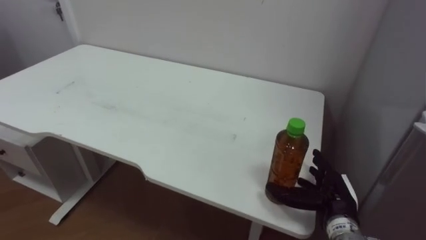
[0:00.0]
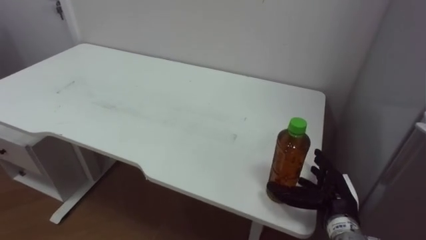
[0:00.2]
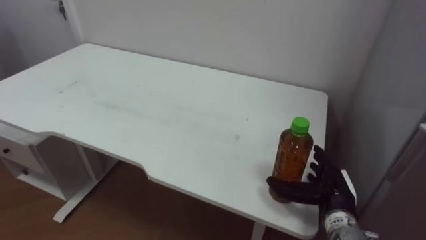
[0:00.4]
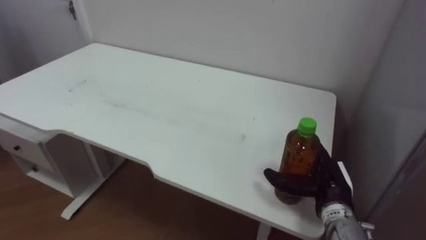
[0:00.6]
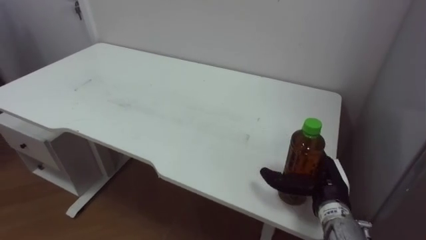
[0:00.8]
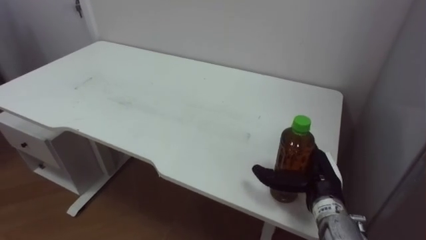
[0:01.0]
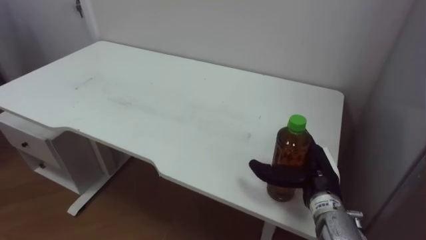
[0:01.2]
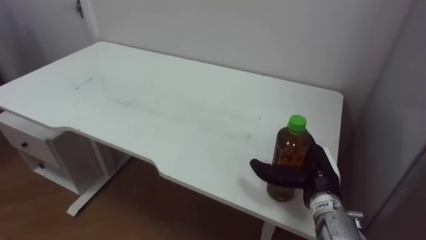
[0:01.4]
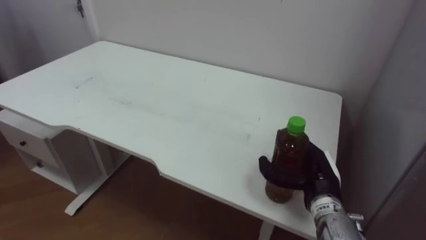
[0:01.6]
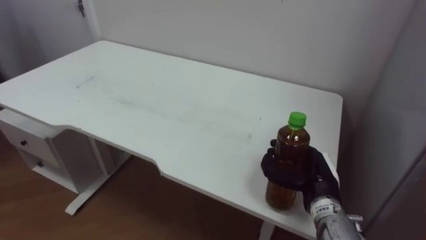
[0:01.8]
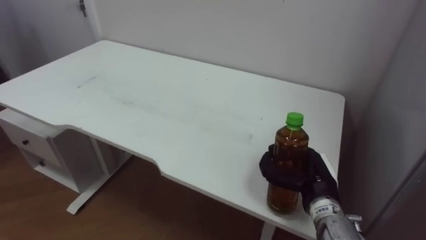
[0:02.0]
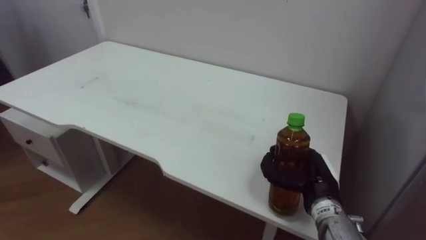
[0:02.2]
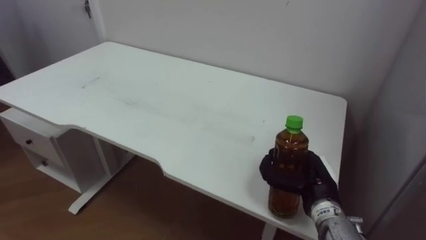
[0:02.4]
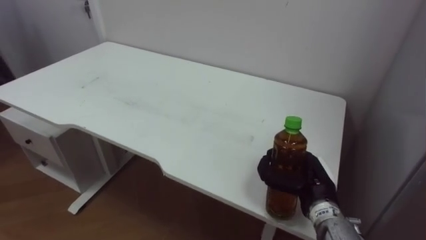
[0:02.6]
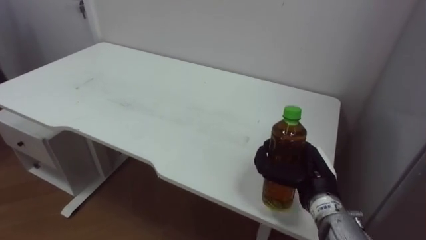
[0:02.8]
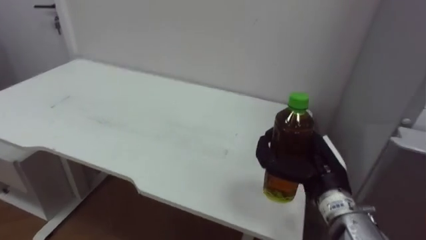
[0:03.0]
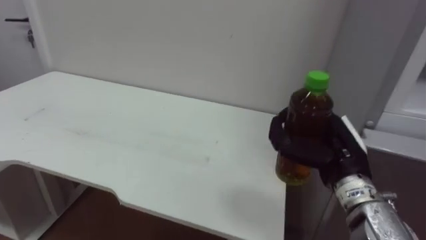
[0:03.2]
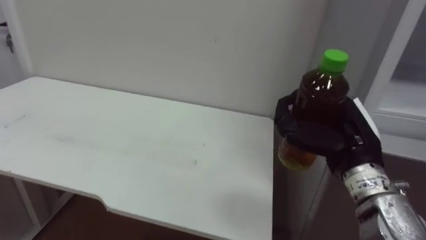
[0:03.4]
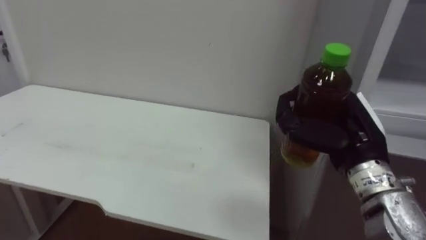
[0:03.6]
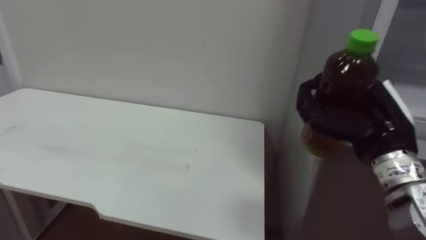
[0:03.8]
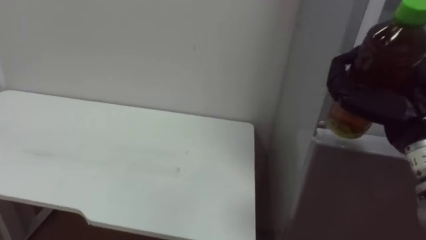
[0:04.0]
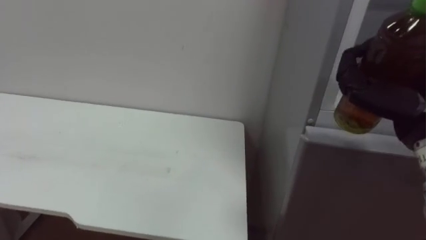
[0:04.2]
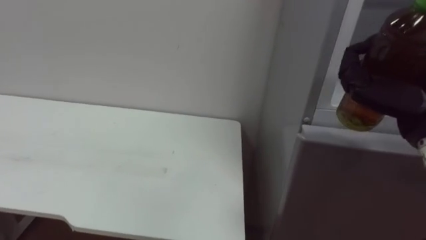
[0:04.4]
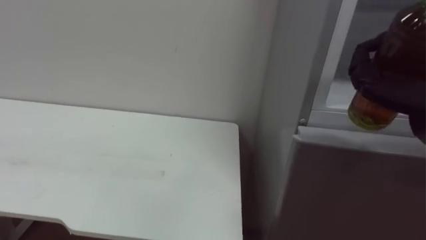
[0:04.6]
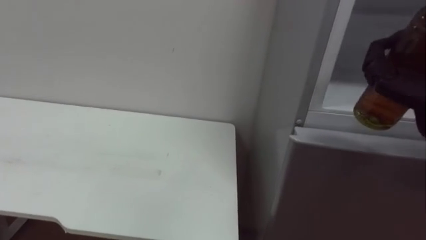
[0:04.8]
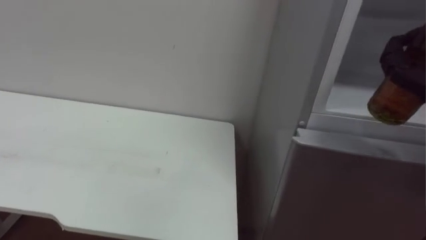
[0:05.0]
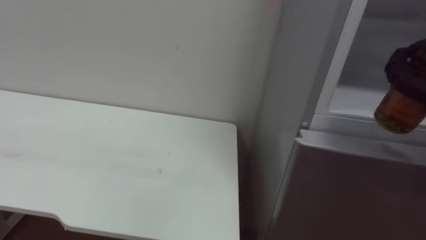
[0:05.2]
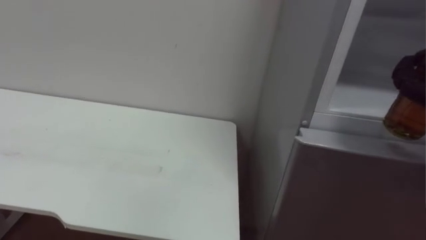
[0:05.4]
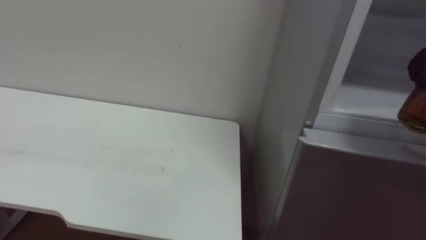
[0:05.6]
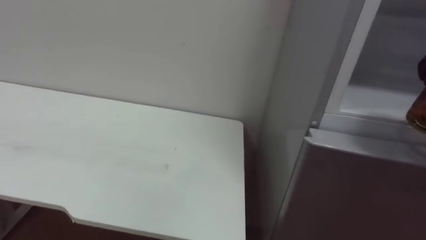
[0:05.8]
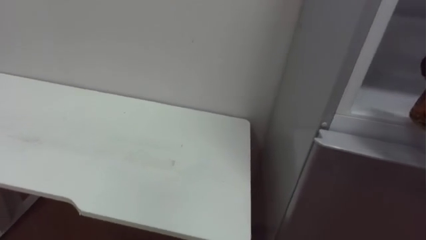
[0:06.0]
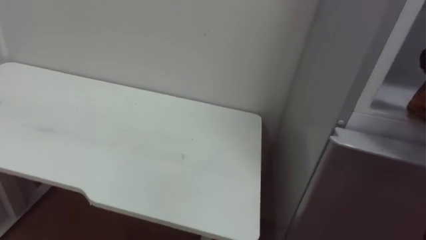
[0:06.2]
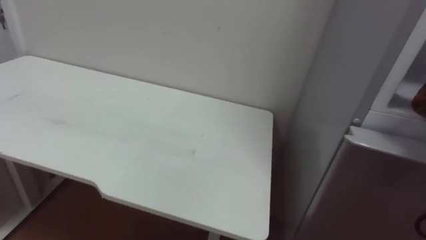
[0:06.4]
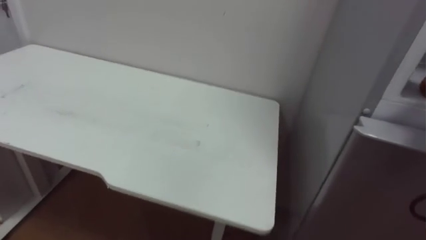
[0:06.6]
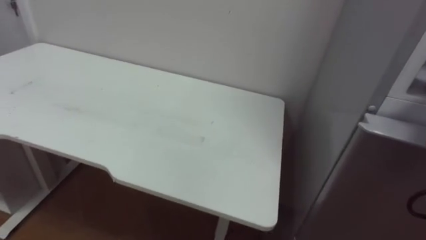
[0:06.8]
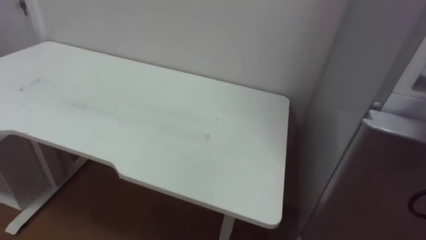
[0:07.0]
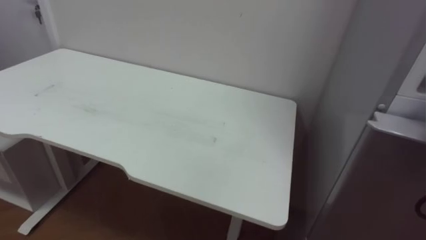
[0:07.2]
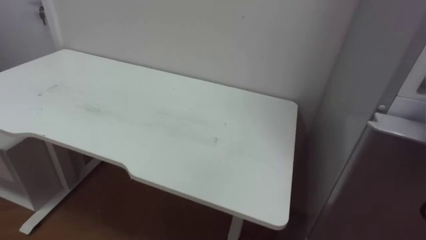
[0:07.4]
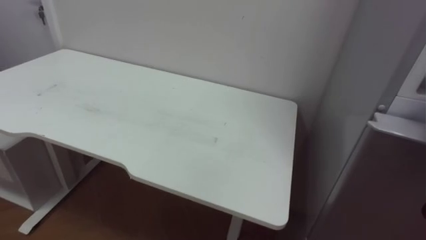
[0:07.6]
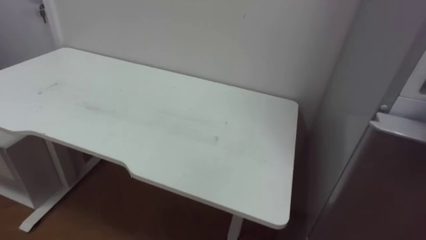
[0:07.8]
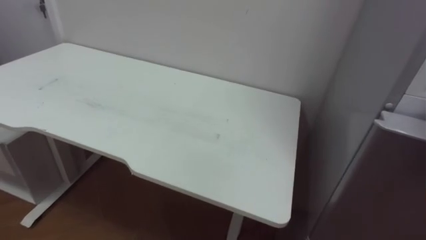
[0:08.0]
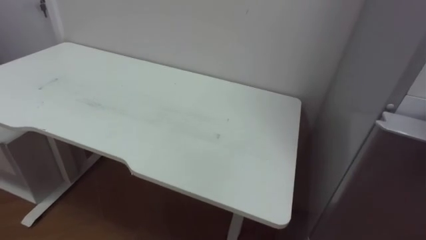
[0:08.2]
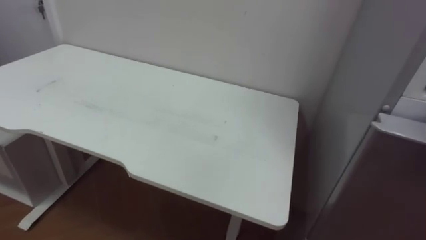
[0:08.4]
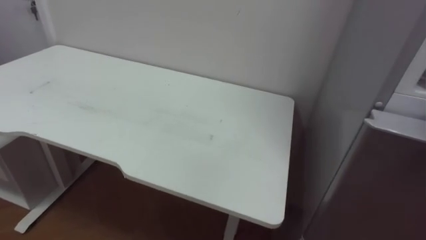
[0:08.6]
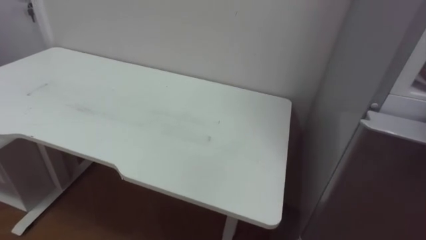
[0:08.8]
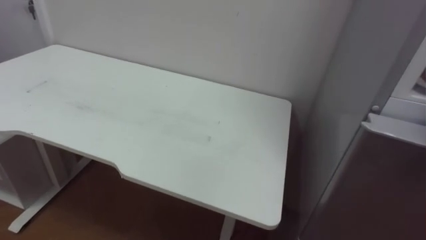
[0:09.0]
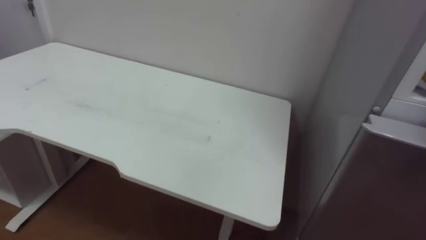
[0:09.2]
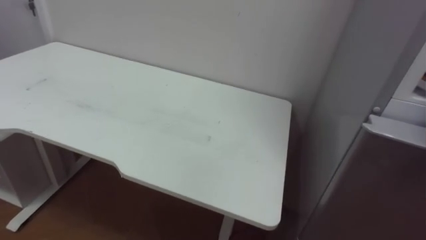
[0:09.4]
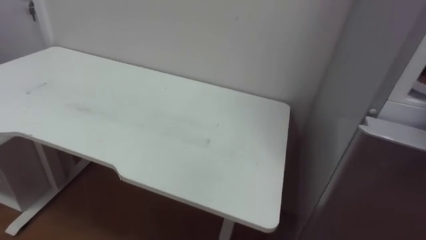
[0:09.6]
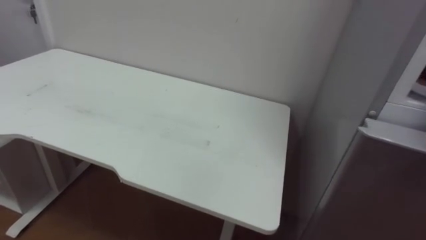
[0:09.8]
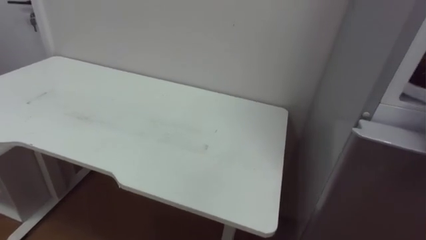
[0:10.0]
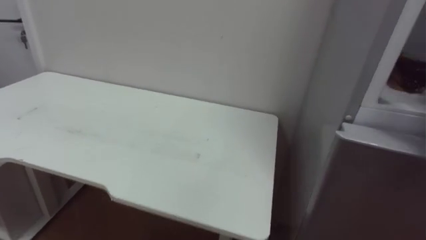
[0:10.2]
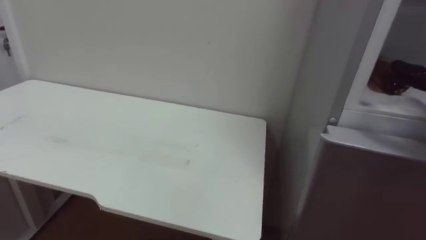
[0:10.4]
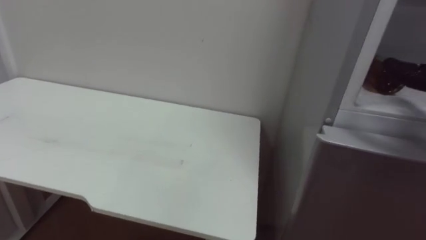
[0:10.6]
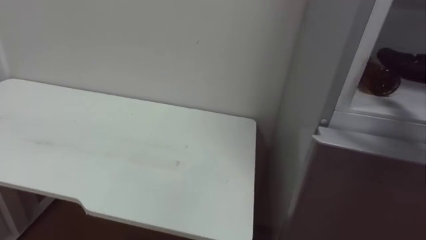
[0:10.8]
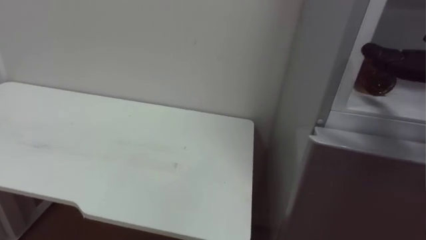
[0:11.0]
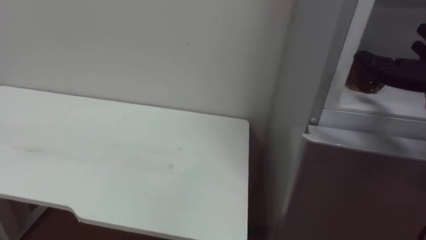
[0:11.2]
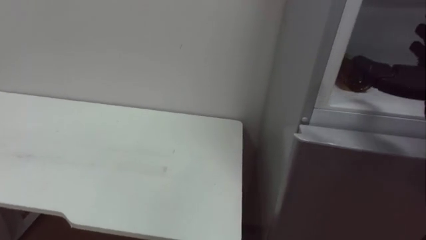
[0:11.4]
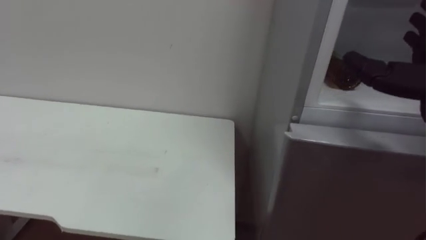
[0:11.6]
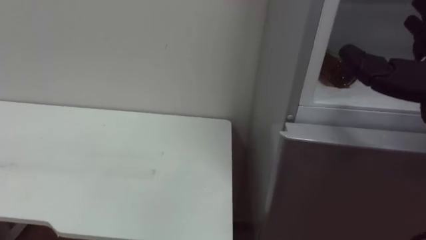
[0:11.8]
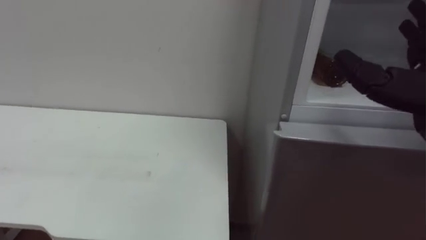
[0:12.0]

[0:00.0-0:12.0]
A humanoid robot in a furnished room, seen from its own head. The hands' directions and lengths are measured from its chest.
Task of the whole recording: Open the upper refrigerator door, put the drink from the table into the refrigerator, and then close the refrigerator door.
0:00.0 to 0:01.6: The right hand moves roughly 5 cm.
0:01.6 to 0:03.0: The right hand changes place by approximately 5 cm, and closes.
0:03.0 to 0:04.4: The right hand shifts some 15 cm upward and to the right.

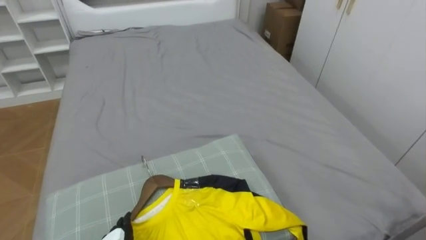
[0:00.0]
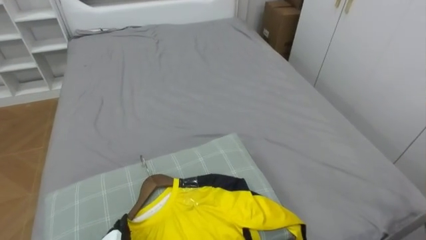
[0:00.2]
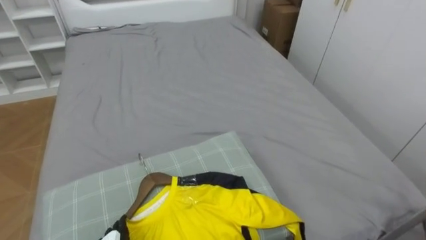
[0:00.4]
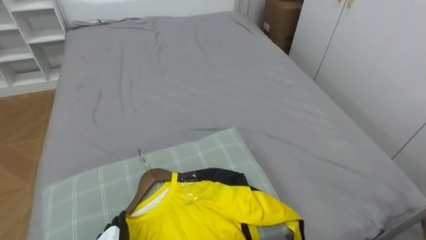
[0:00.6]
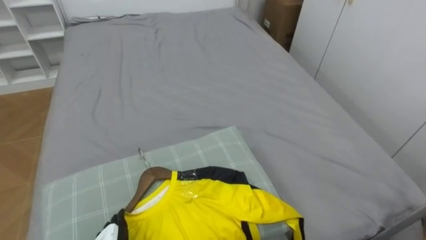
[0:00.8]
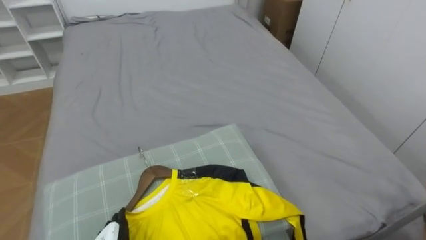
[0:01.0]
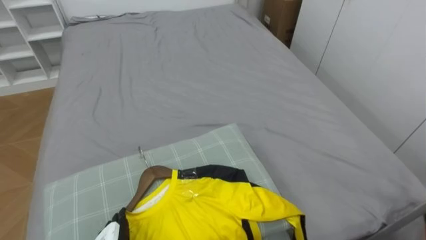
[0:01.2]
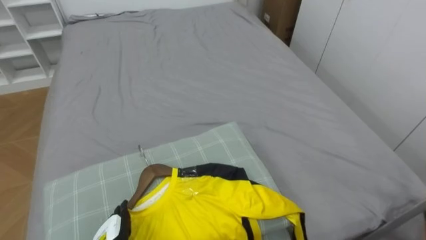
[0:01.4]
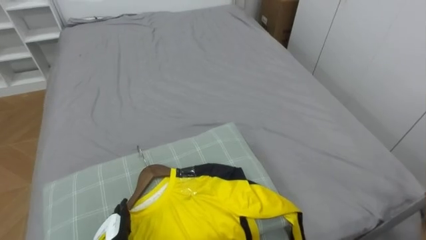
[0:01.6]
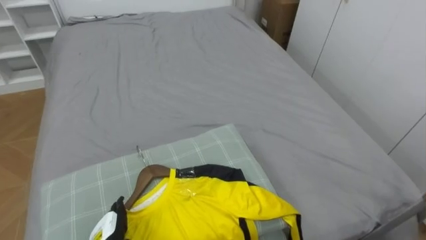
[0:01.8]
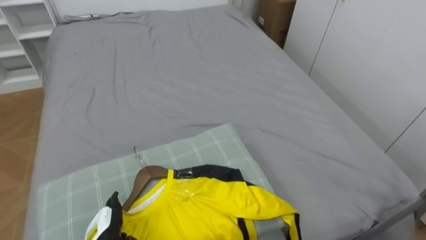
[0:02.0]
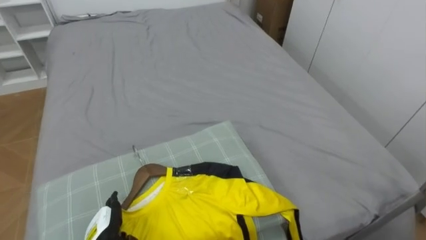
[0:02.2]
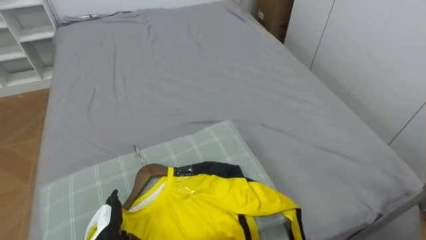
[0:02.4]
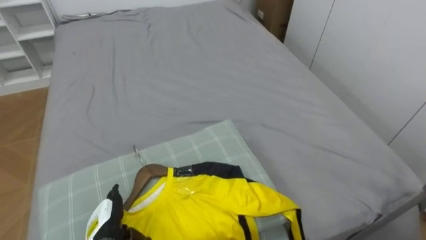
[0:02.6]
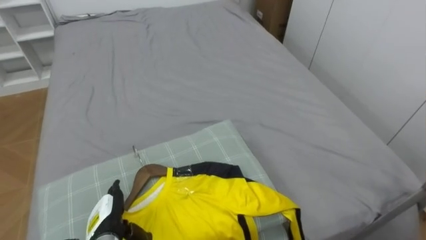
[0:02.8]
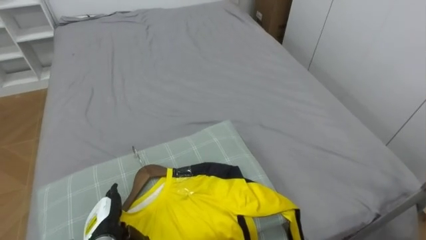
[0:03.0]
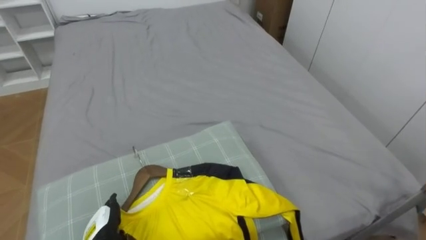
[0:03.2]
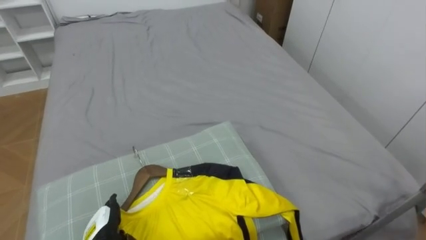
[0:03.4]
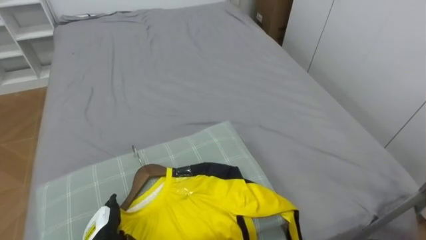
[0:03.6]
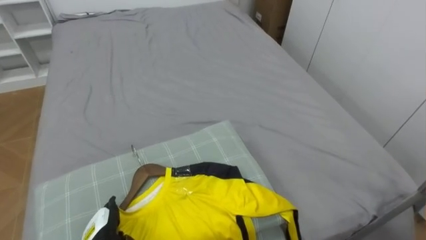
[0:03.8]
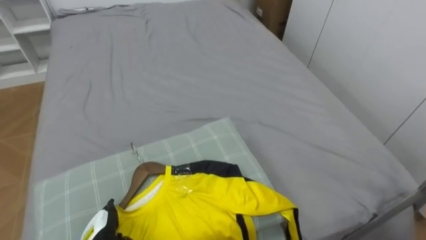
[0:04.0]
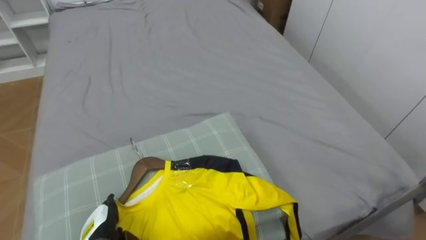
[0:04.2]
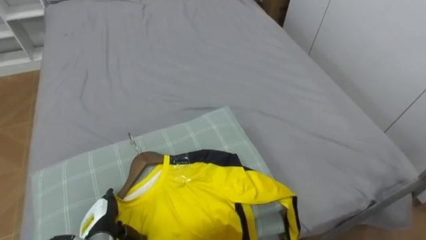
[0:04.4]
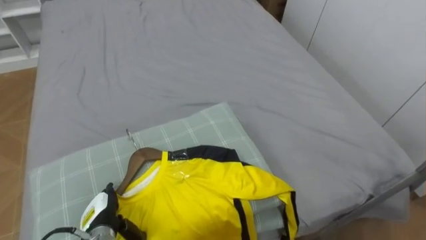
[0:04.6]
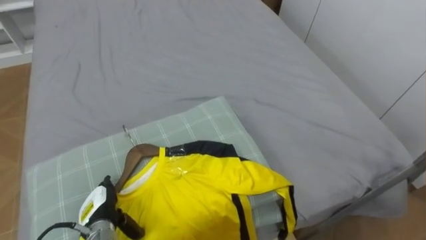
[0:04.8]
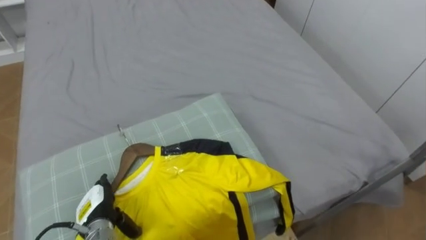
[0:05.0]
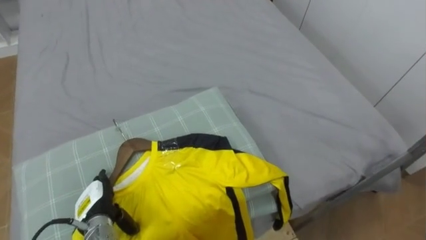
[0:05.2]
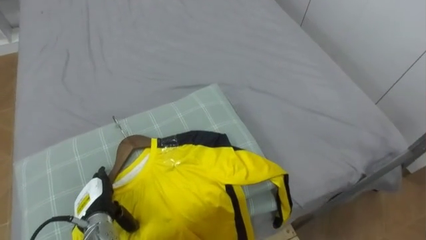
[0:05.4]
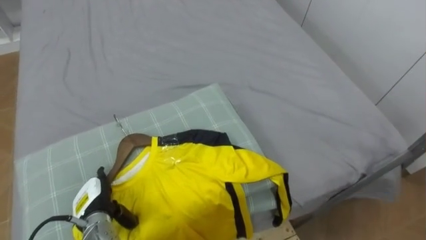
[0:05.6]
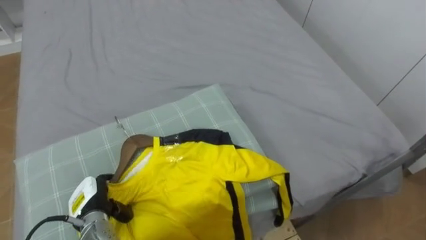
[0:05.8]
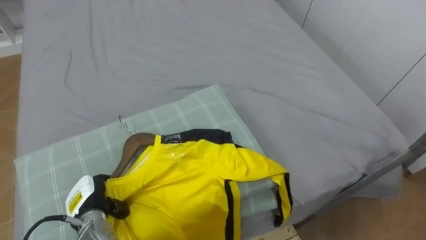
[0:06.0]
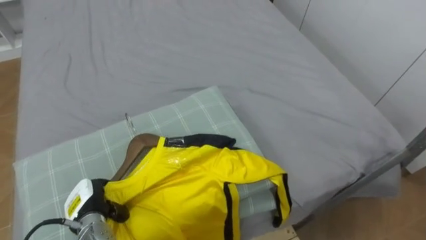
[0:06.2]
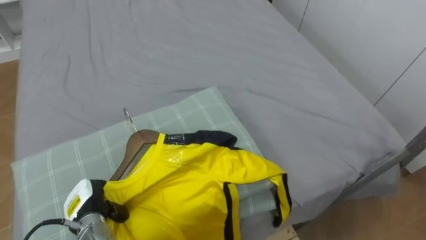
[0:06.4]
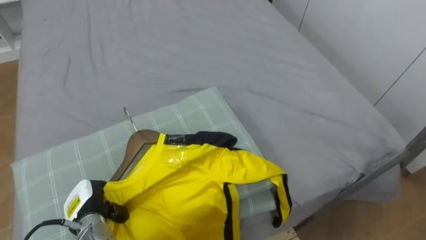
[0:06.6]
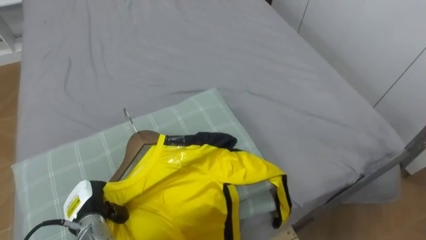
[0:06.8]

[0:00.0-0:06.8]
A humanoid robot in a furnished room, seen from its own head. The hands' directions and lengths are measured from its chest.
Task of the whole recording: Pick up the yellow shirt on the bed and hang it on the clothes rack on the right.
0:04.0 to 0:05.4: The left hand ends up roughly 5 cm from where it was.
0:05.4 to 0:06.8: The left hand closes.
